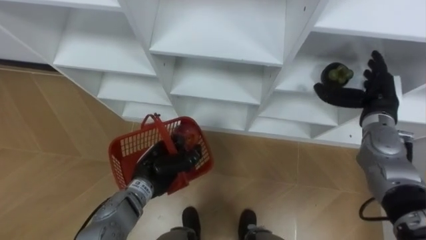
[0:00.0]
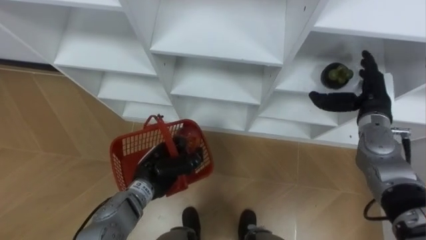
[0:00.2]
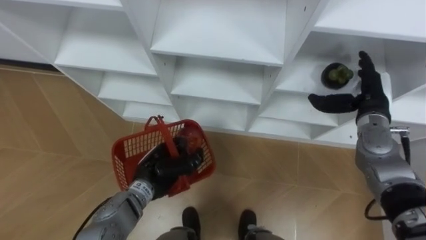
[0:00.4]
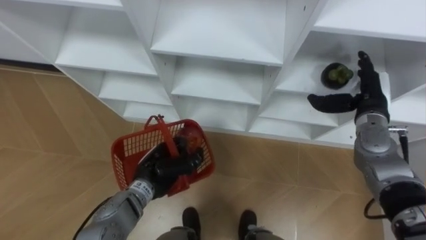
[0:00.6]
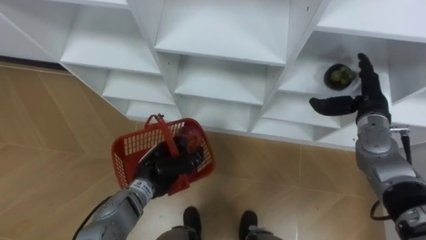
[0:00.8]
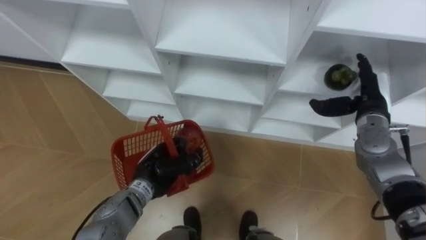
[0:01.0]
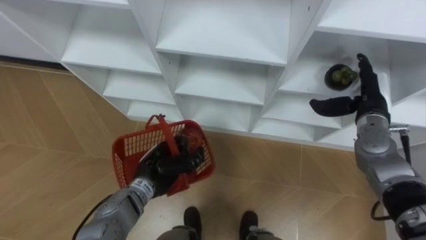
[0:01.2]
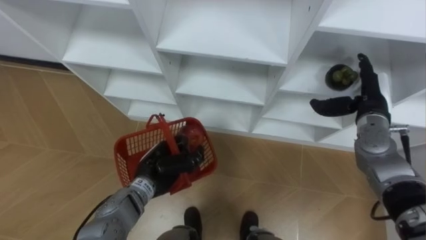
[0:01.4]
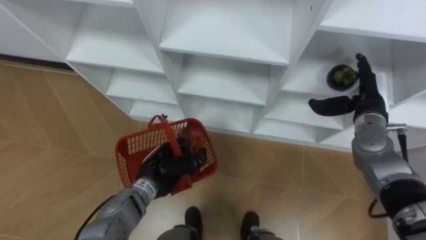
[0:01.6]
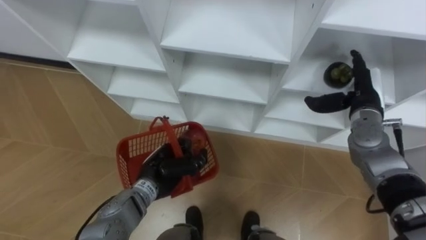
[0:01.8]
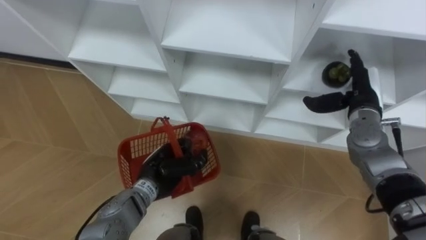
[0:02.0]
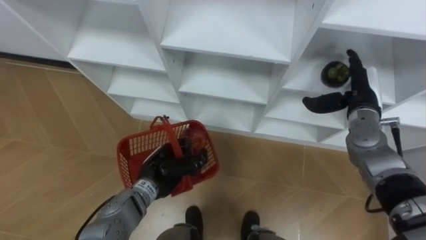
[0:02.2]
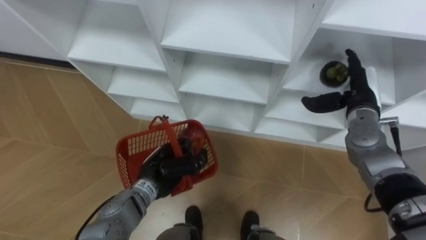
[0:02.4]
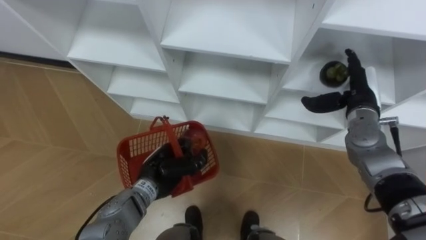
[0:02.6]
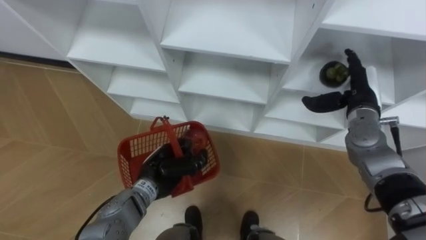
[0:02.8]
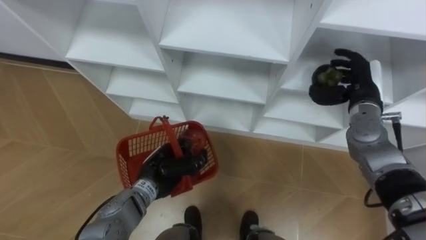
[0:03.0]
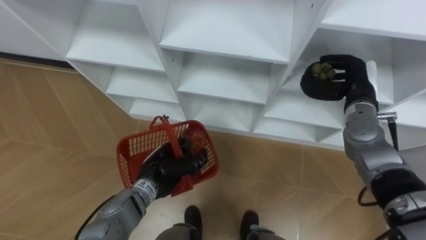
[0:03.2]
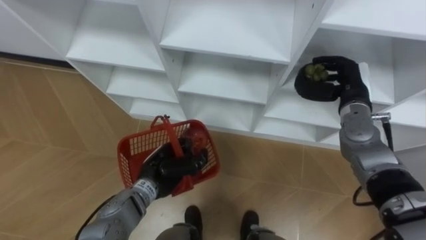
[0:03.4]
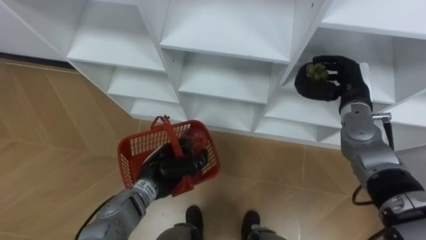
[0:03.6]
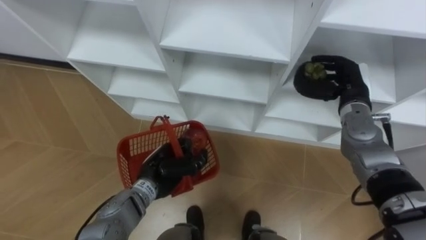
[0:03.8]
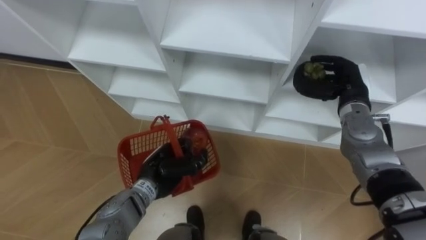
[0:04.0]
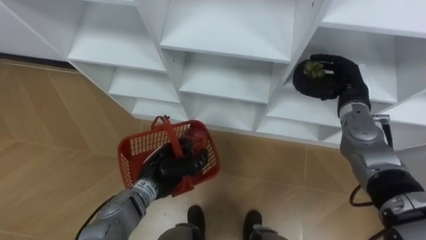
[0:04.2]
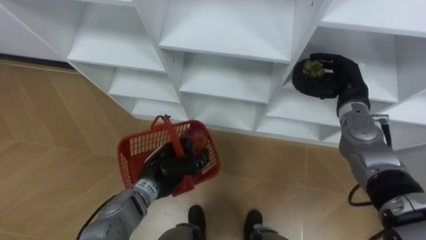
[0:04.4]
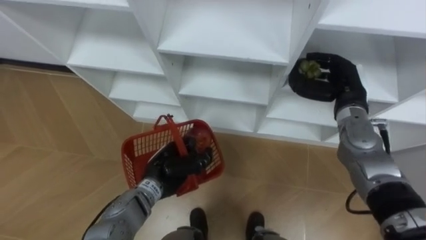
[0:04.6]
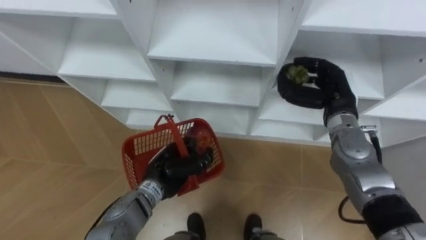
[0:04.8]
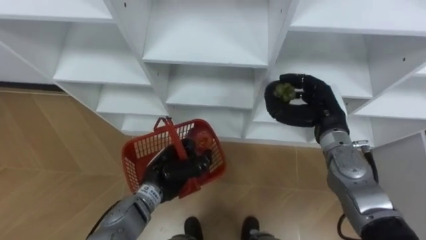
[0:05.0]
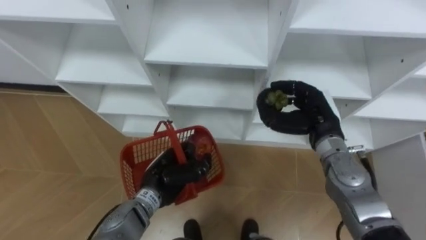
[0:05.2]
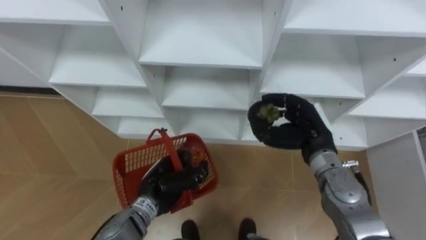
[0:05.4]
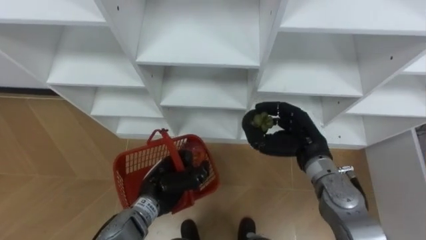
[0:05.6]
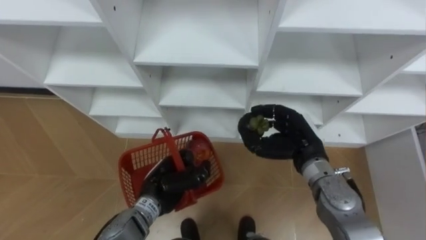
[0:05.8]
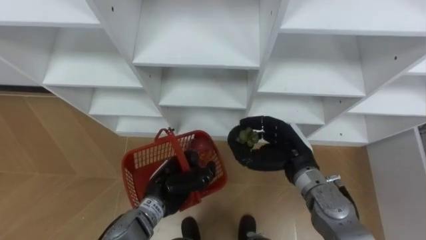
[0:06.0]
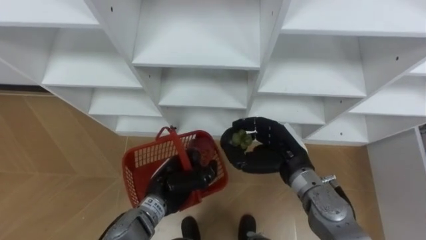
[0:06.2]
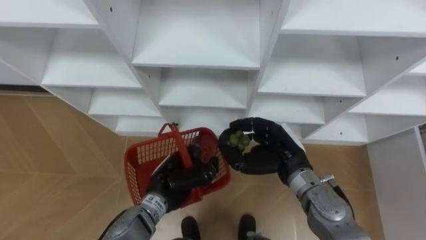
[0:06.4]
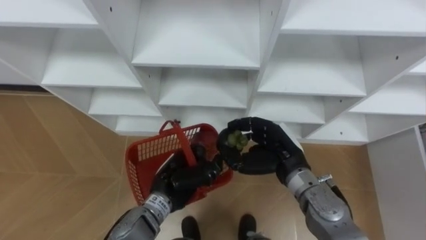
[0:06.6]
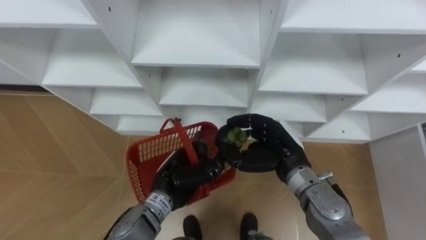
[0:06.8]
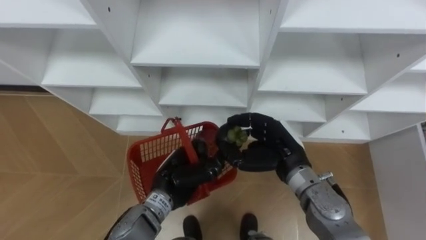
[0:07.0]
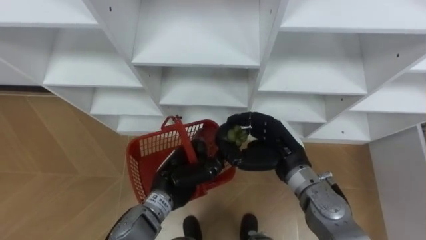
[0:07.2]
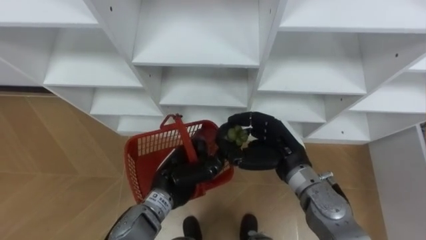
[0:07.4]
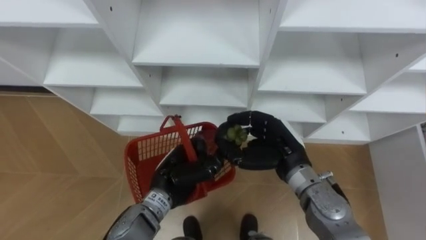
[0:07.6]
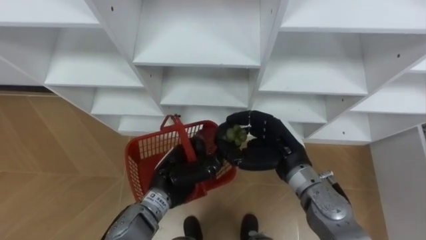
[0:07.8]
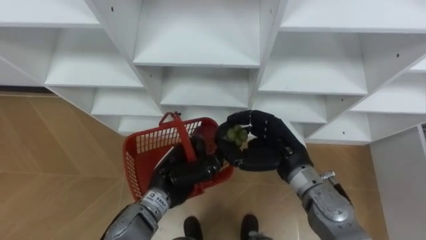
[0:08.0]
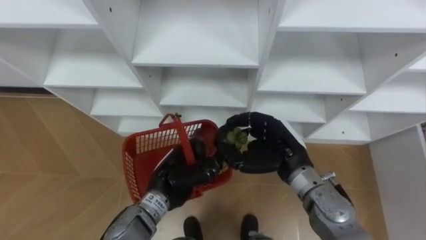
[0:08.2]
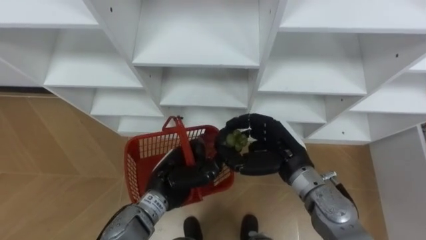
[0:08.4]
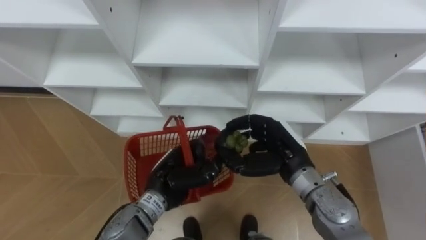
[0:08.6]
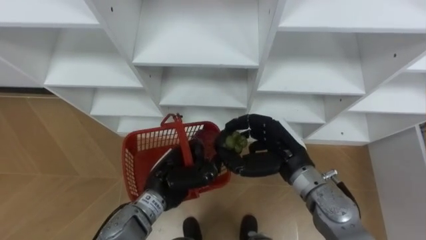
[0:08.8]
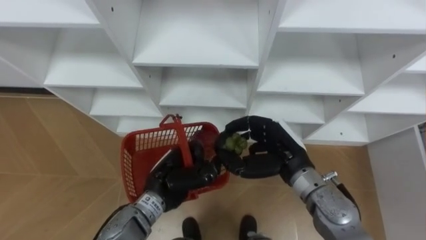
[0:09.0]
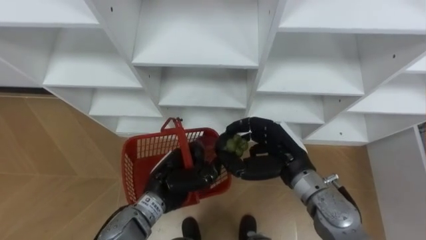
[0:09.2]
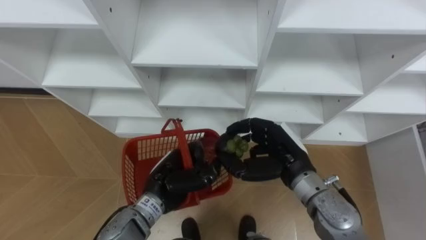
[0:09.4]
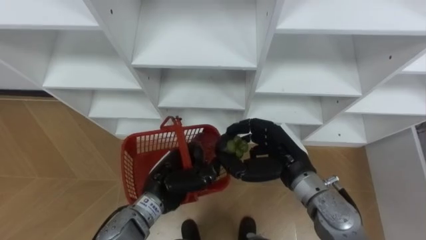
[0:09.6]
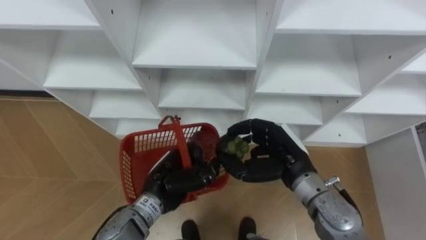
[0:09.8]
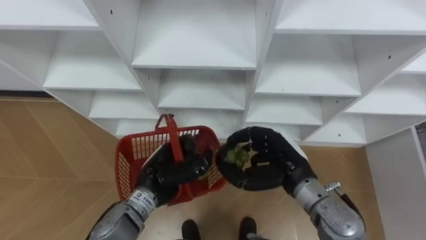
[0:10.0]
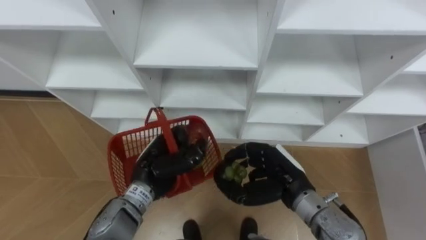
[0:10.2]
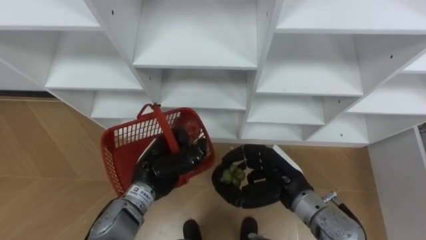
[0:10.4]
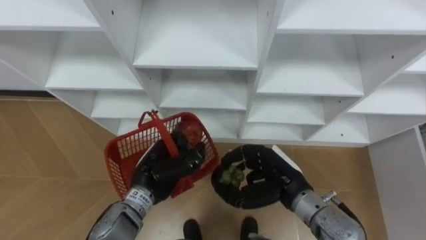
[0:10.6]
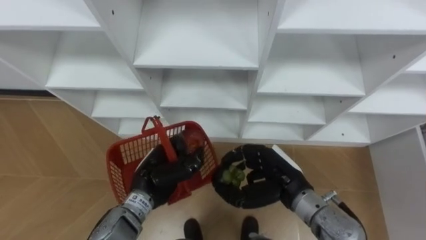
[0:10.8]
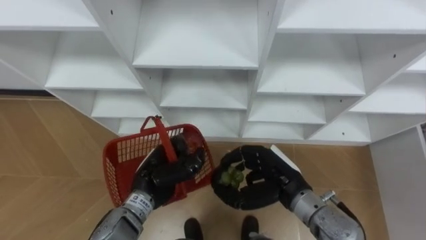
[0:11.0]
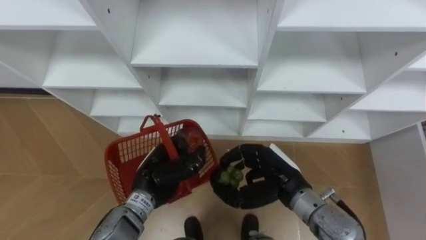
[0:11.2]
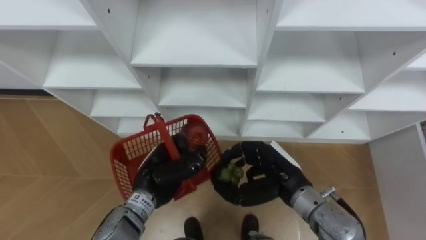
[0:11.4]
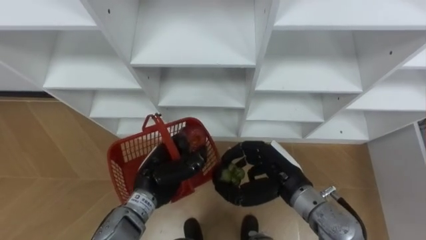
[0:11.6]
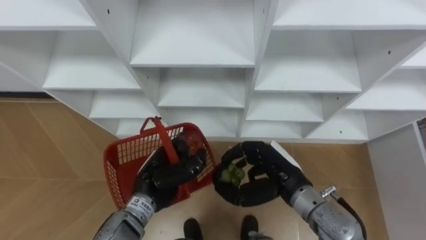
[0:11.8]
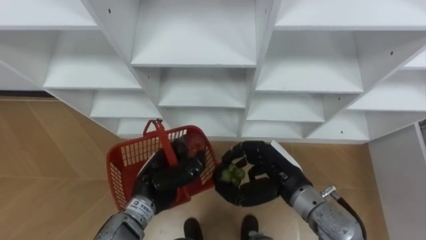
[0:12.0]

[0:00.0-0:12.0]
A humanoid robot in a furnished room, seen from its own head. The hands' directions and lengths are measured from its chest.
Task of the whole recording: Hold the basket and collect the fruits from 3 different cells of the closet into it.
0:01.6 to 0:03.0: The hands stay close to where they were, moving slightly.
0:04.4 to 0:06.0: The right hand is displaced to the left, backward and downward by about 15 cm.
0:06.0 to 0:12.0: The hands move only a little.

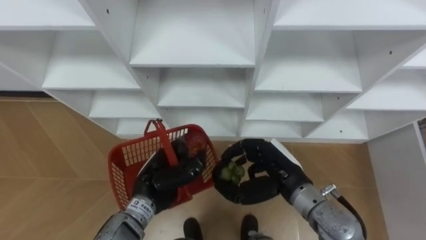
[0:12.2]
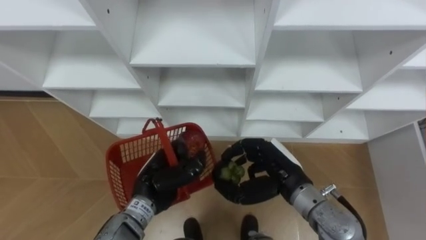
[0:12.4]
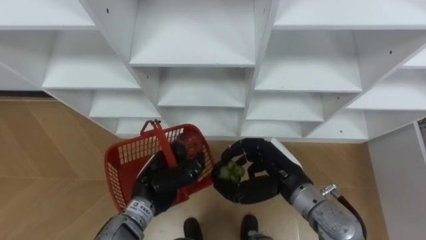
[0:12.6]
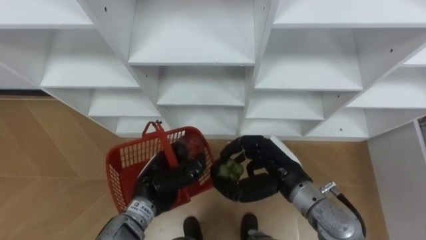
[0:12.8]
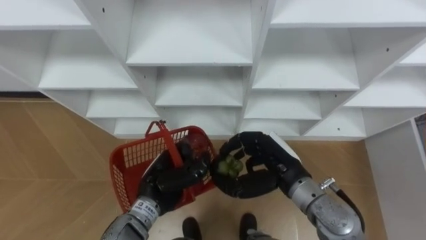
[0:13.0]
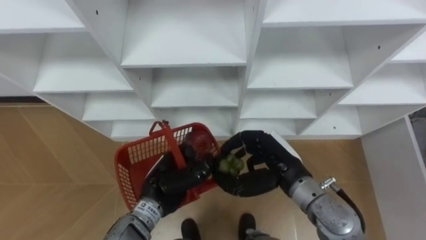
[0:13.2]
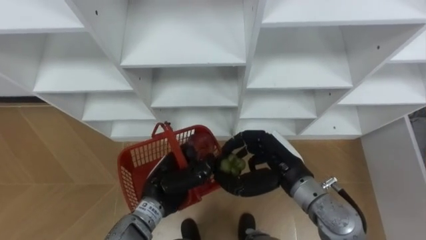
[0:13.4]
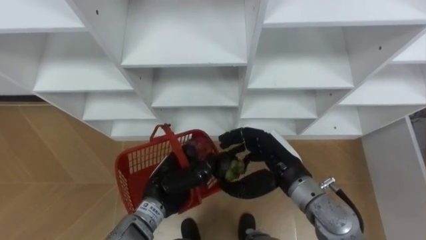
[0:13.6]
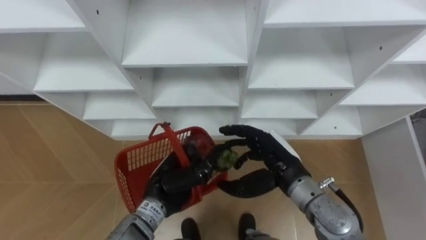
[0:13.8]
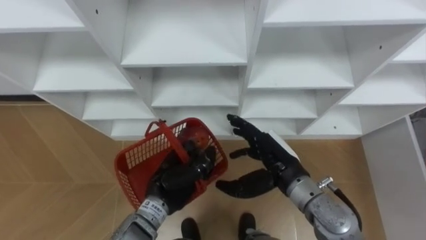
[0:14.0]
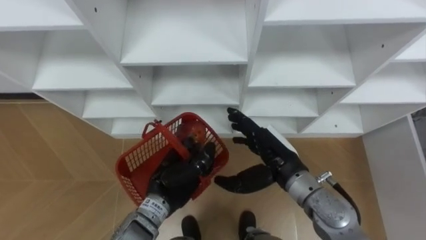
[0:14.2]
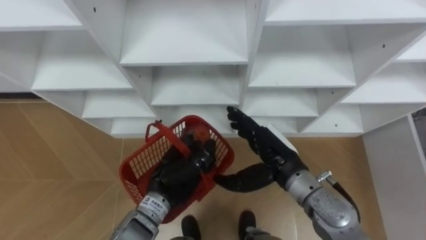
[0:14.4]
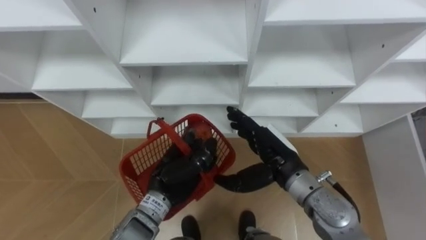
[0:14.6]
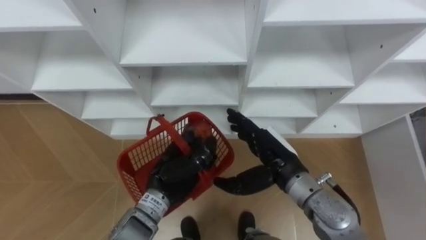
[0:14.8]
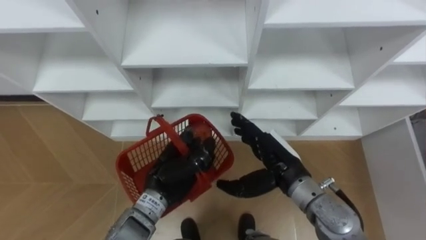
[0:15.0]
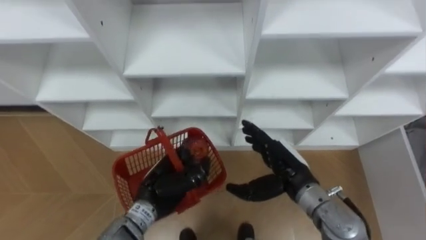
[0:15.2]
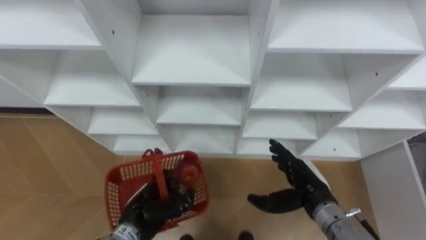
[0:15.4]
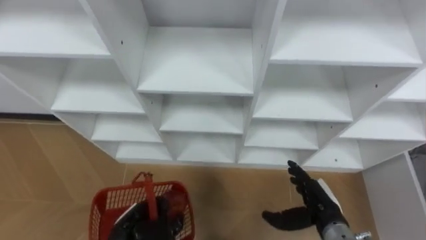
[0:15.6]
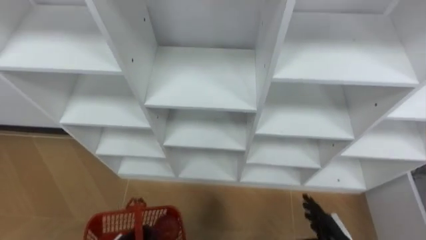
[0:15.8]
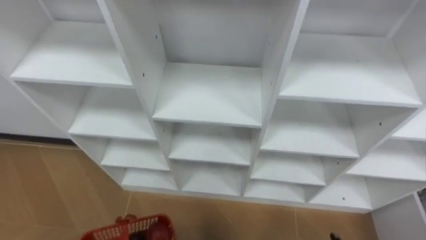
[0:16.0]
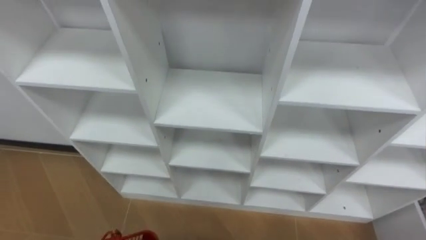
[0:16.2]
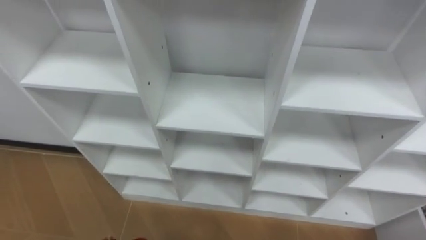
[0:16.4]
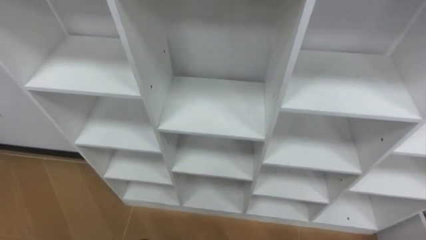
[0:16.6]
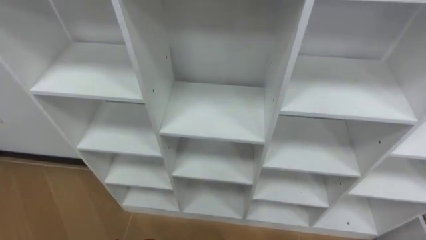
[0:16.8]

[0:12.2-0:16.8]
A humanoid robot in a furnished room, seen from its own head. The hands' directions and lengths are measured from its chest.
Task of the whole recording: Hold the basket and collect the fruits from 3 different cells of the closet into it.
0:12.2 to 0:13.8: The right hand opens.
